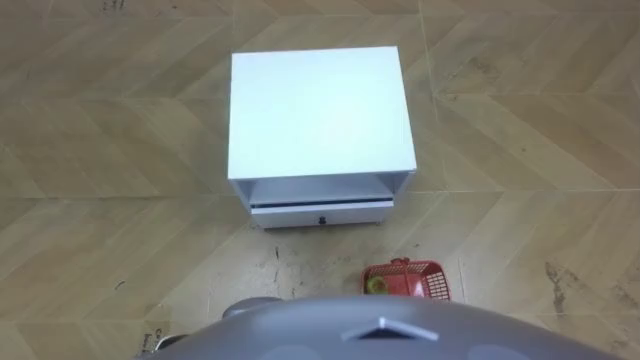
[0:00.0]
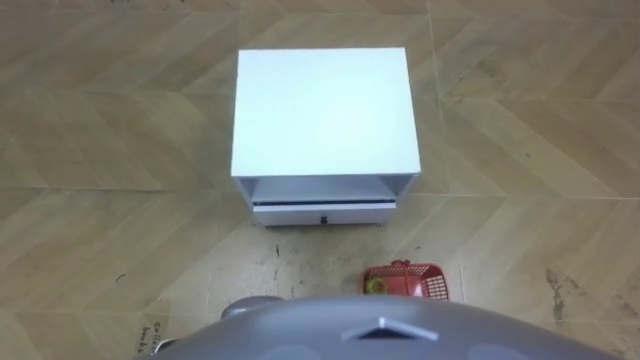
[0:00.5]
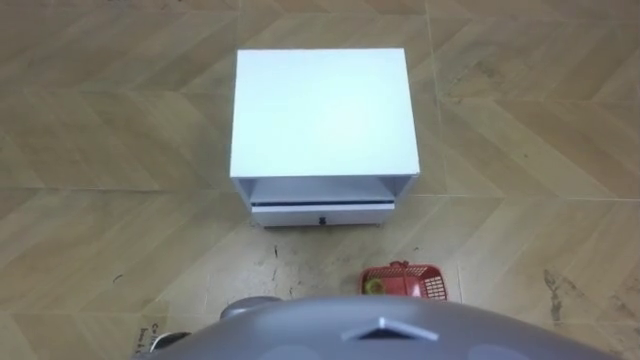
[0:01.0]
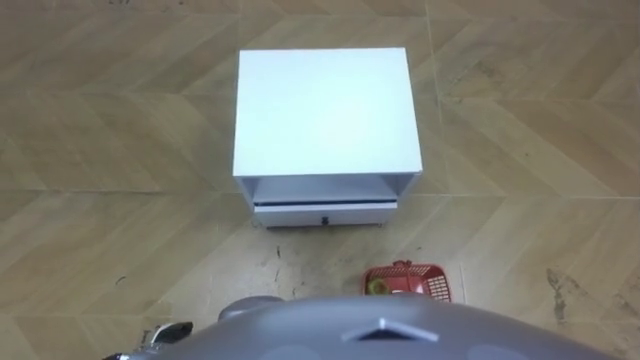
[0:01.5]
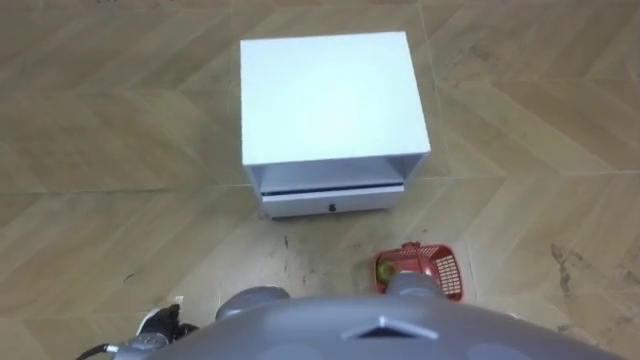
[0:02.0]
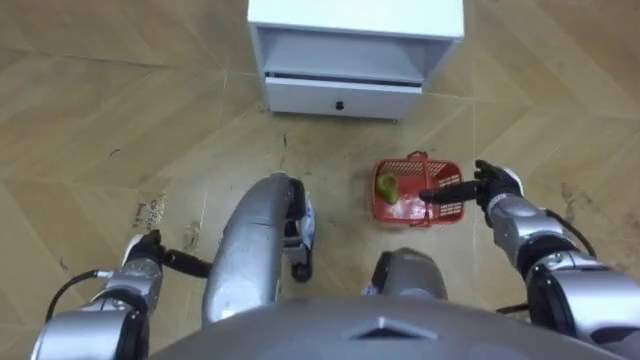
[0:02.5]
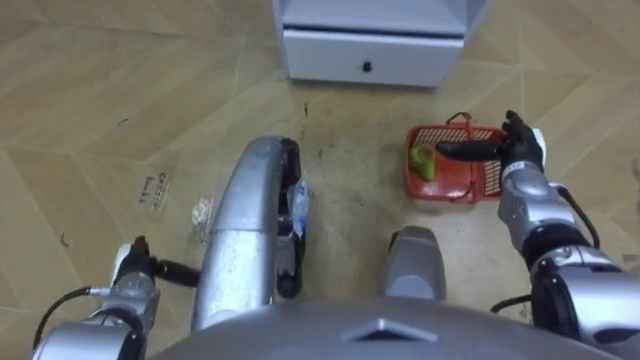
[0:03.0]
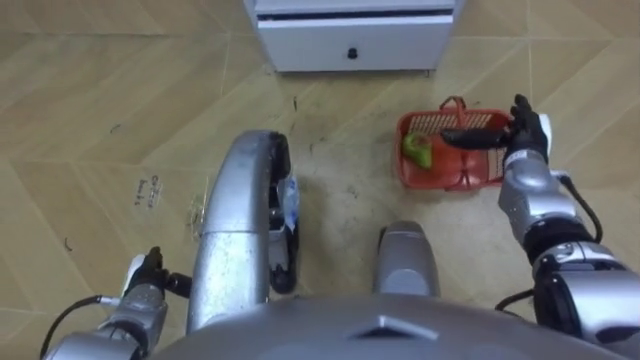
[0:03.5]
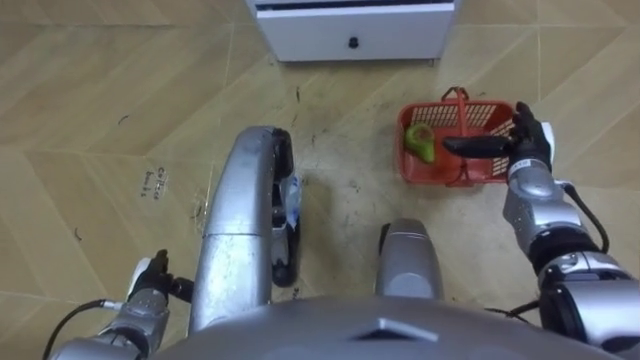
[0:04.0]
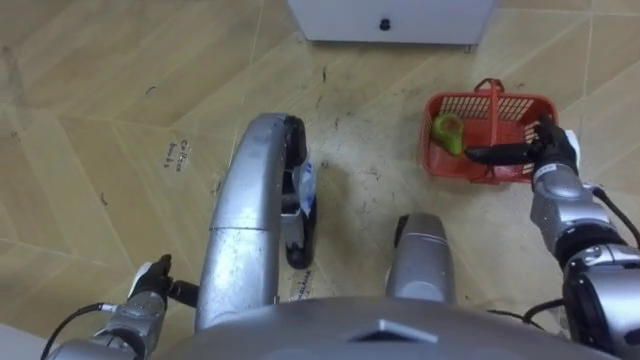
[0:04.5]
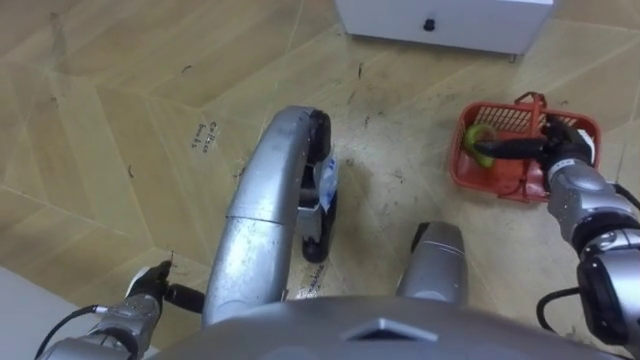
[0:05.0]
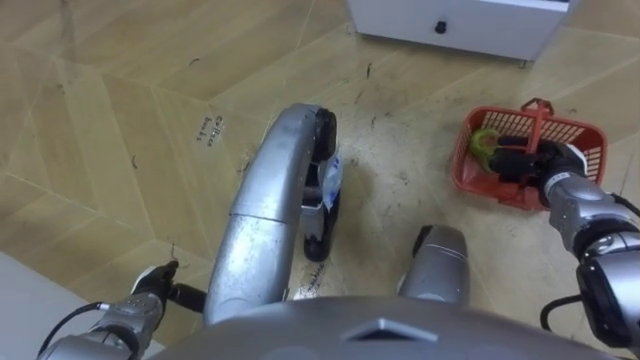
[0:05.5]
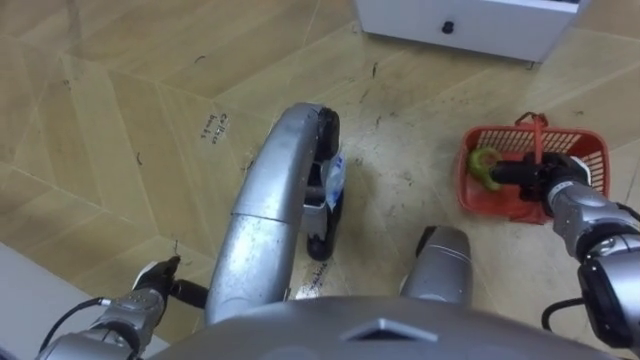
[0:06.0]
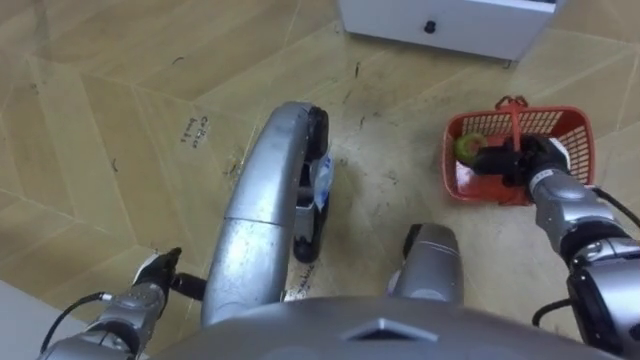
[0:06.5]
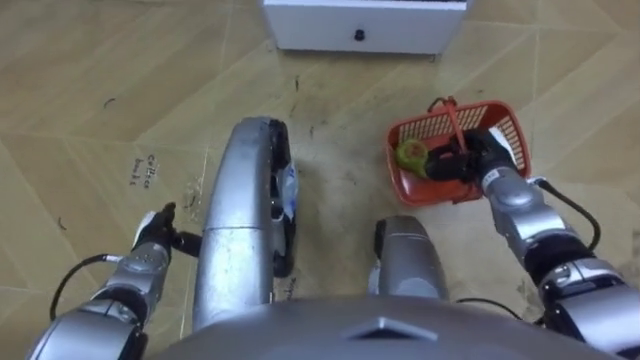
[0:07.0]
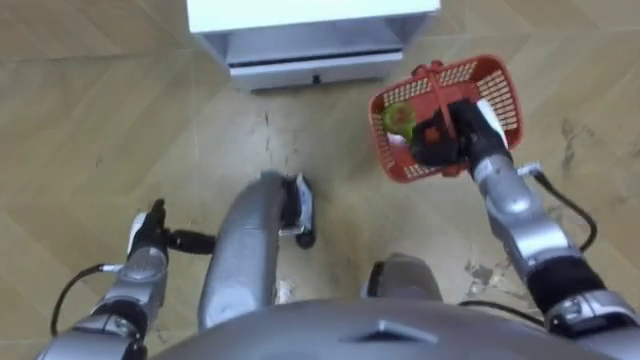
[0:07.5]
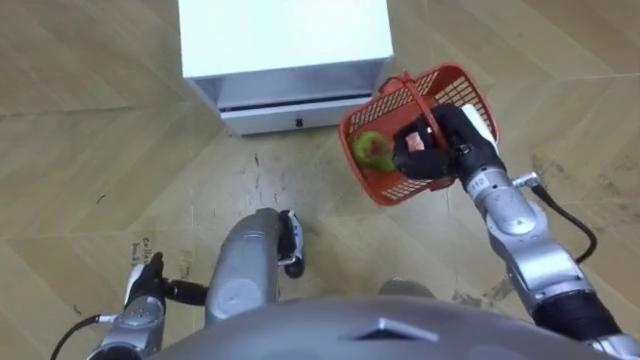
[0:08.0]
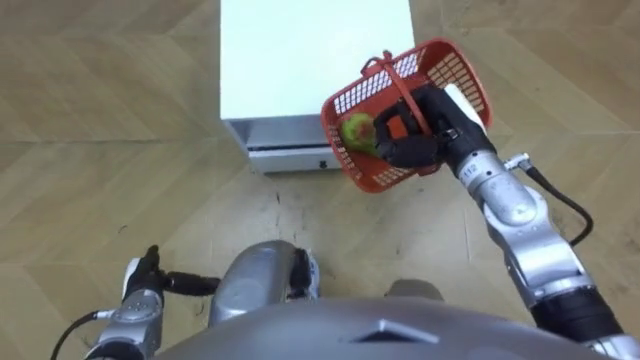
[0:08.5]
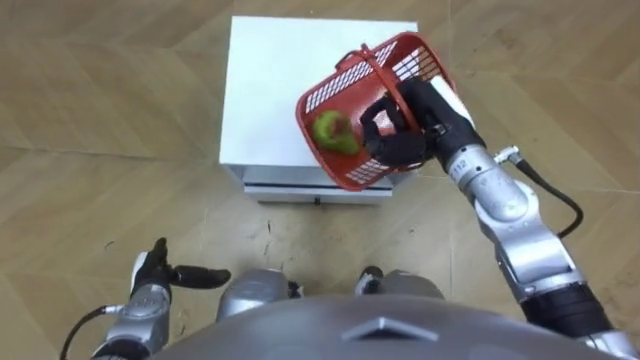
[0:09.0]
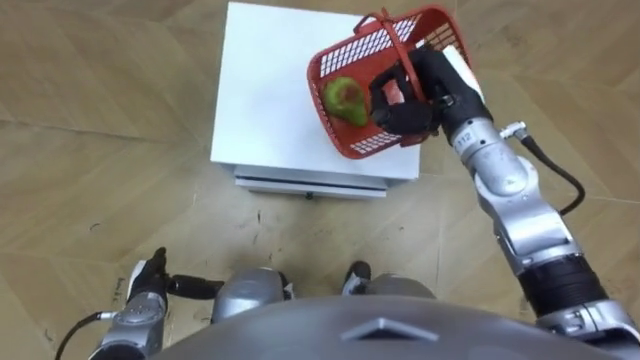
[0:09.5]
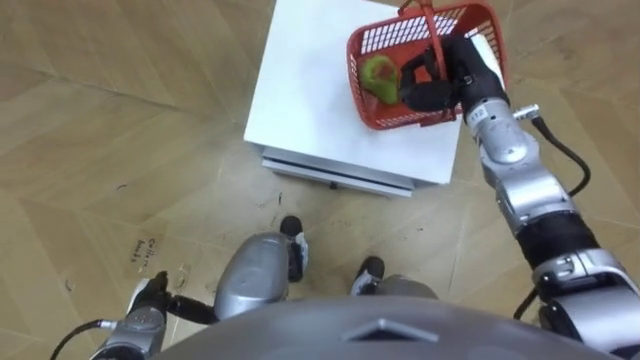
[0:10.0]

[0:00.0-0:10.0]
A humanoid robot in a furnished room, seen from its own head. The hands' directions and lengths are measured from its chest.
Task of the whole recording: Pick up the fruit basket from the floor and place it on the cabinet.
0:02.0 to 0:04.0: The right hand moves forward and upward, roughly 30 cm; the left hand is displaced forward by roughly 5 cm.
0:04.0 to 0:06.0: The right hand travels to the right by some 5 cm, and closes.
0:06.0 to 0:08.0: The robot's body swings approximately 20 degrees to its right. The right hand shifts about 15 cm to the left and upward. Meanwhile the left hand travels forward and back again, some 10 cm each way.
0:08.0 to 0:10.0: The right hand is displaced forward by roughly 10 cm.

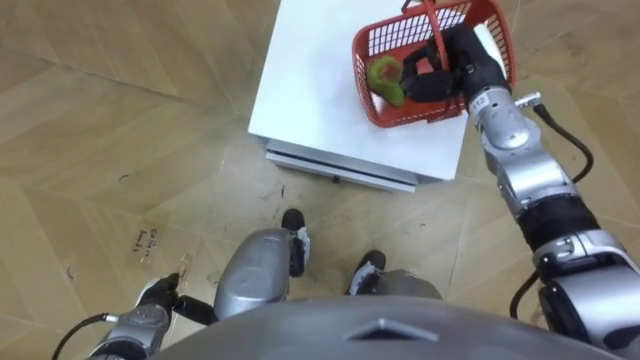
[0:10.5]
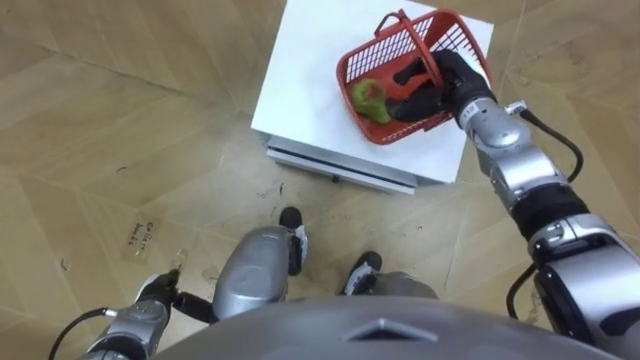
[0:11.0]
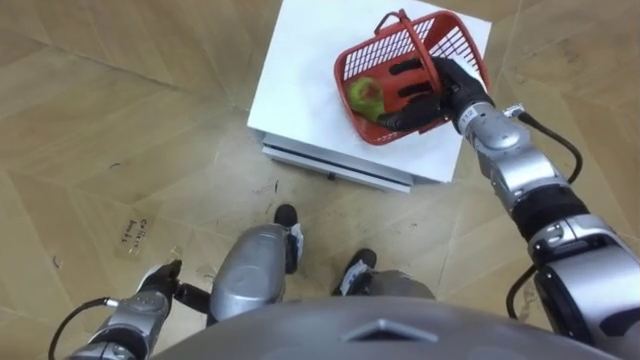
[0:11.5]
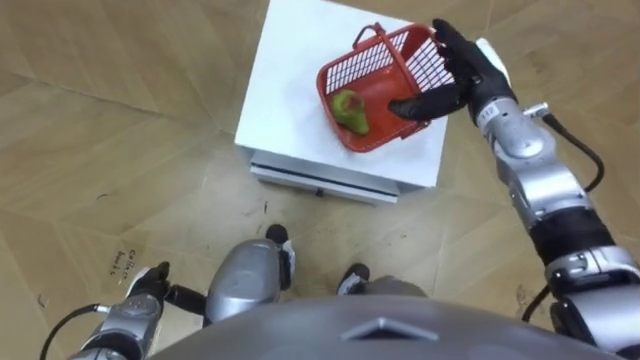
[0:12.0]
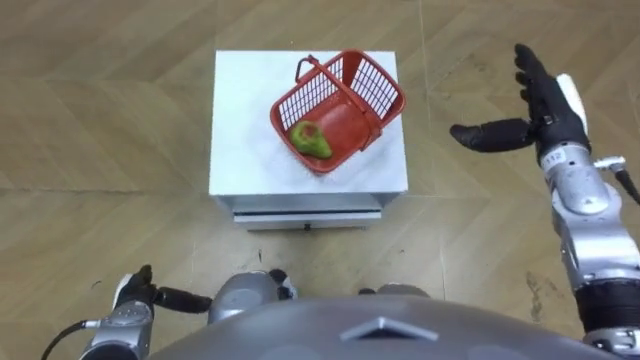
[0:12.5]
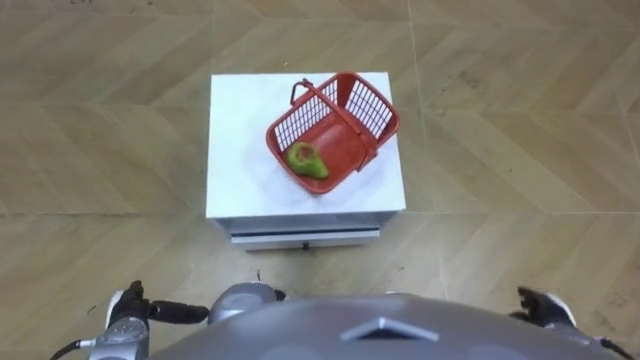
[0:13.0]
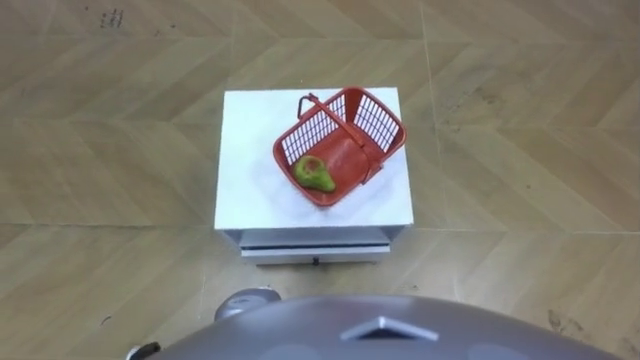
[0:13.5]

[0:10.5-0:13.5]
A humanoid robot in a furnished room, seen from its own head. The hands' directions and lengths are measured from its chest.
Task of the whole recording: Pick up the fruit basket from the floor and place it on the cabinet.
0:10.5 to 0:12.0: The right hand opens.

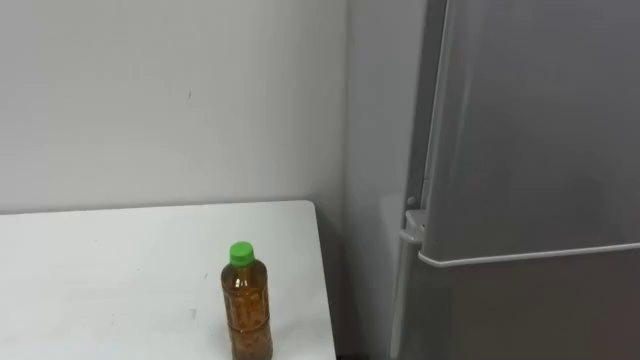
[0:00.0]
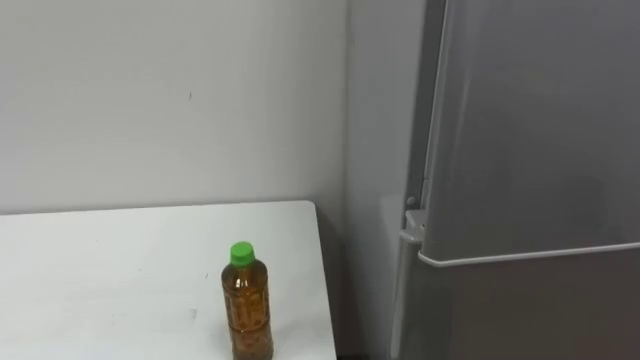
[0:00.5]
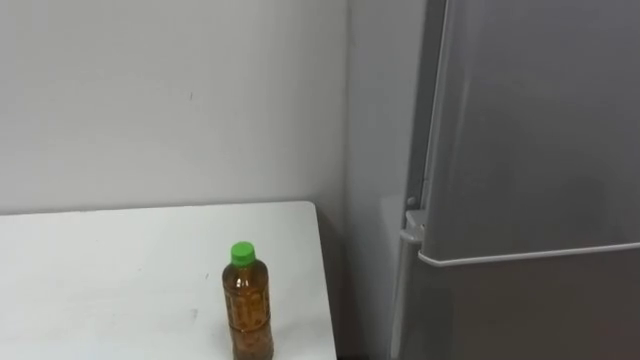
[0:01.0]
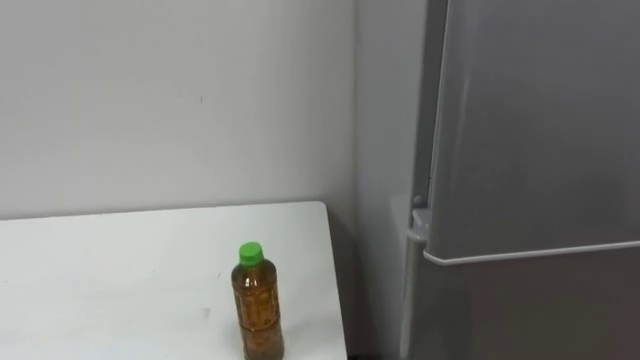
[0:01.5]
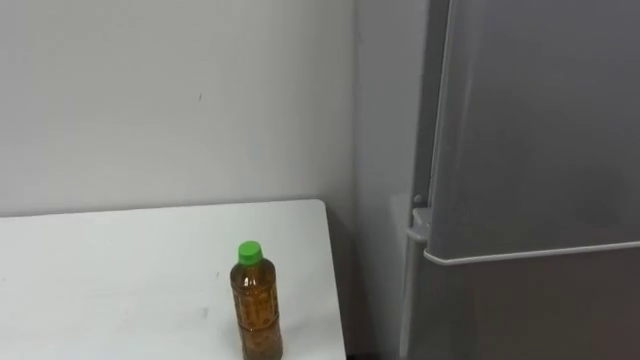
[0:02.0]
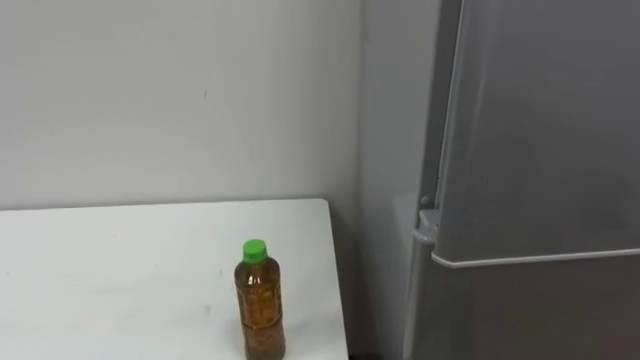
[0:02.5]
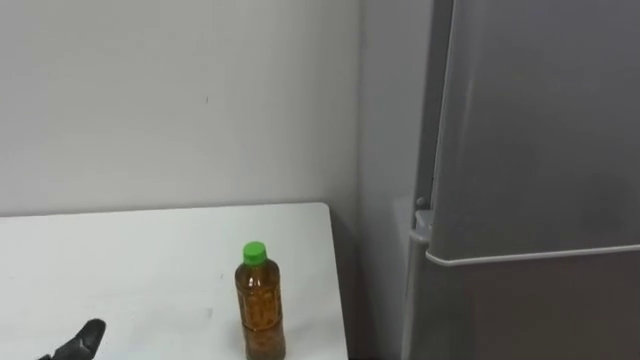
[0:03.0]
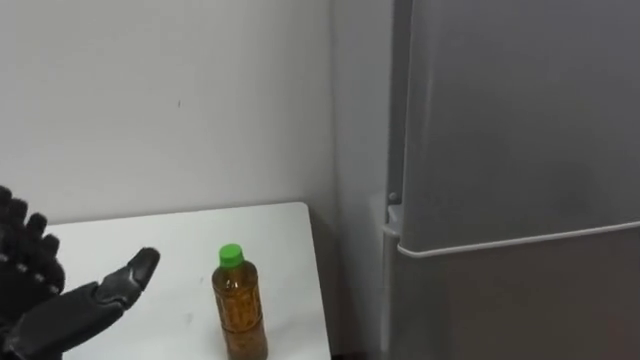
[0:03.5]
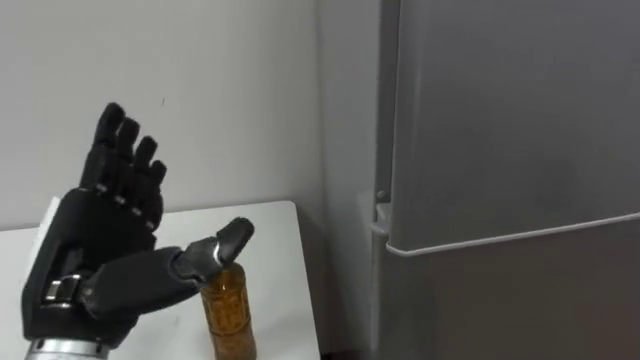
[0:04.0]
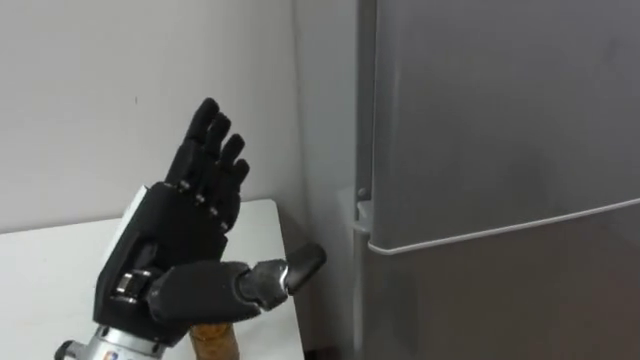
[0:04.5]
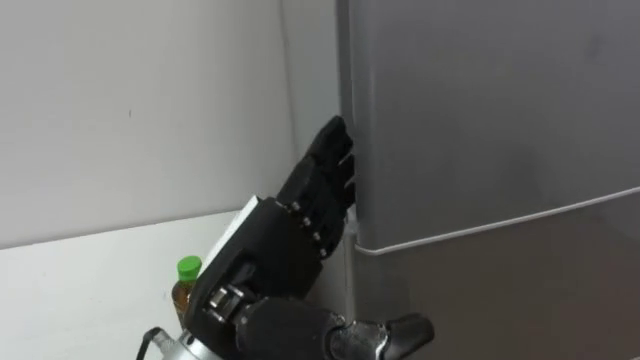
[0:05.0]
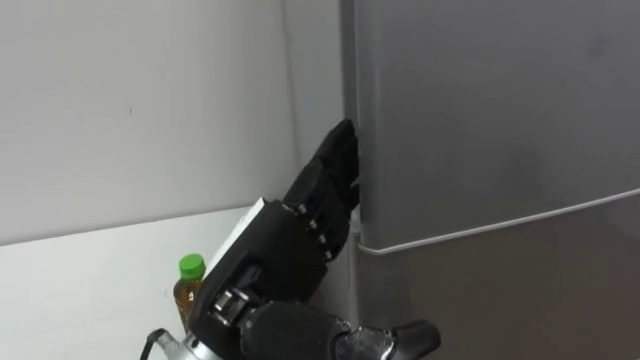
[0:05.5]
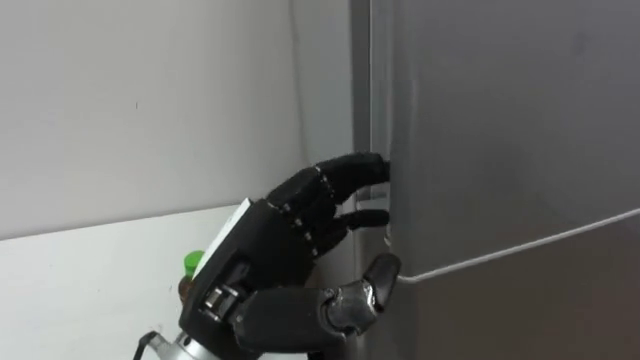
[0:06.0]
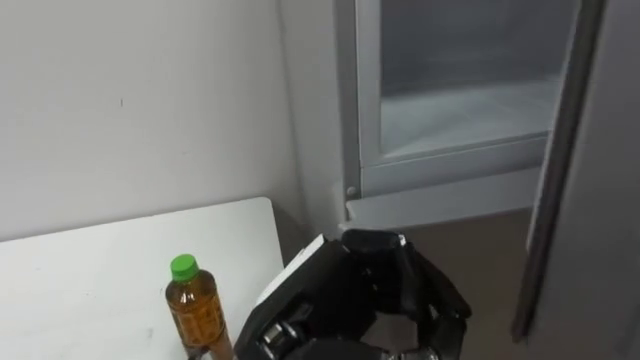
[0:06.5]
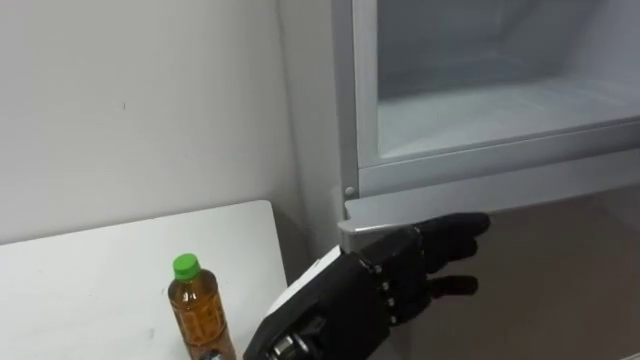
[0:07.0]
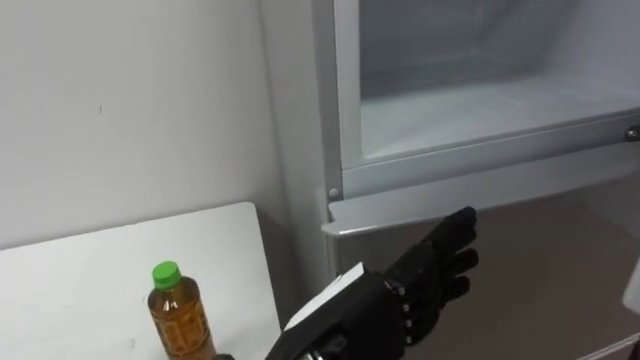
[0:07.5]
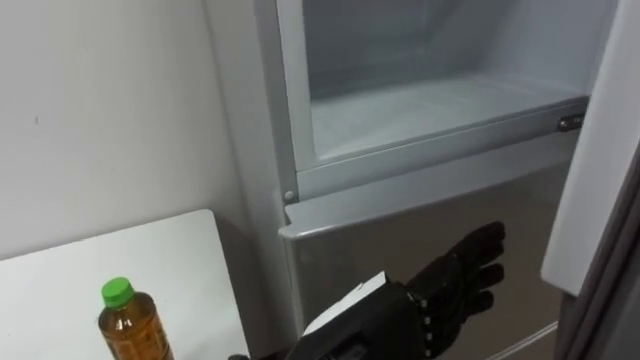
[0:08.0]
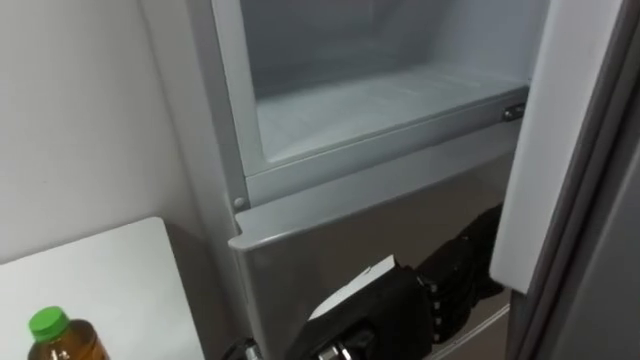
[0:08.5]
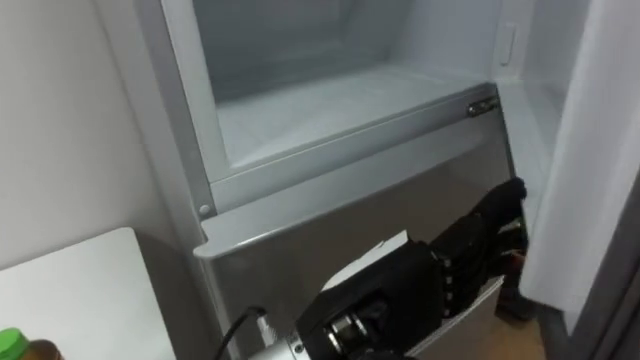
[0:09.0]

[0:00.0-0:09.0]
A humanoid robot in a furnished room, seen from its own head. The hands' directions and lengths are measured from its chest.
Task of the whole recording: Open the upper refrigerator door, put the drink from the table into the refrigerator, and then close the refrigerator door.
0:04.5 to 0:07.0: The left hand moves to the right, some 15 cm, and closes and opens again.
